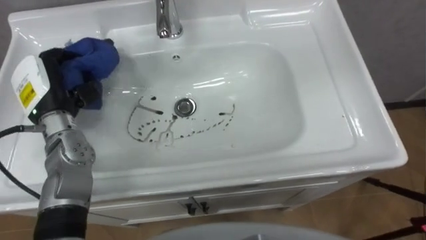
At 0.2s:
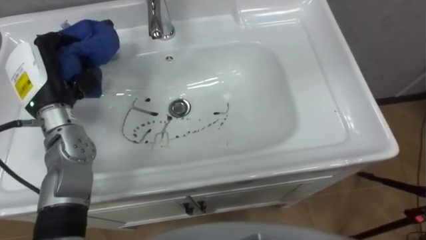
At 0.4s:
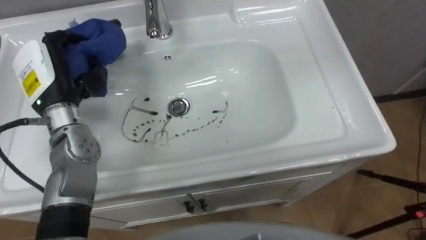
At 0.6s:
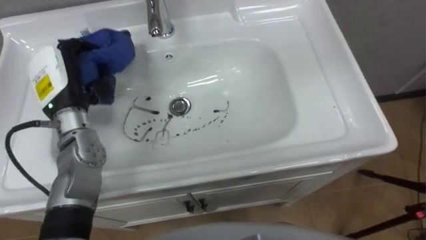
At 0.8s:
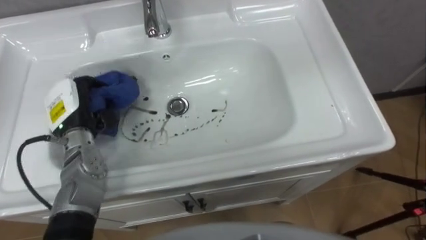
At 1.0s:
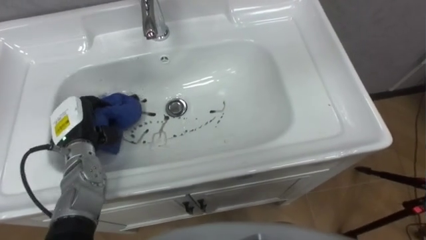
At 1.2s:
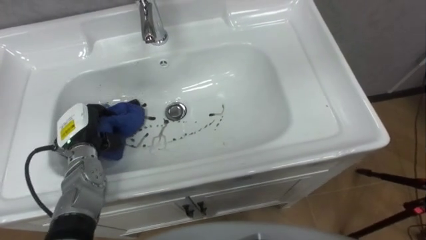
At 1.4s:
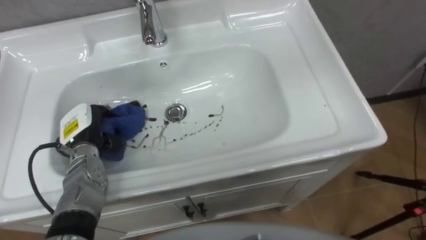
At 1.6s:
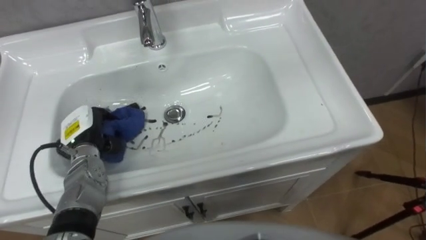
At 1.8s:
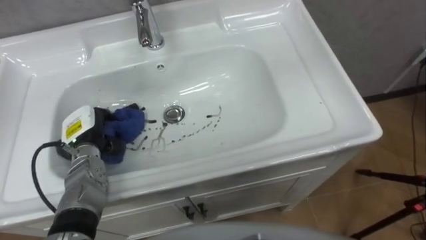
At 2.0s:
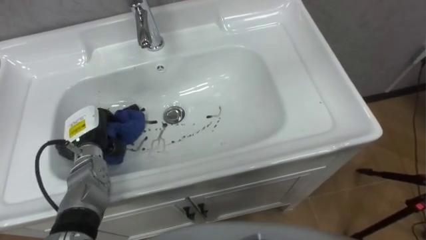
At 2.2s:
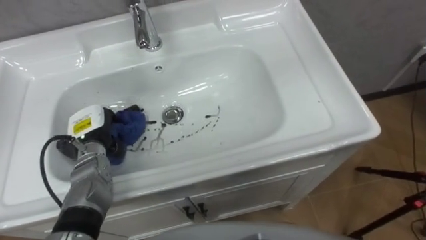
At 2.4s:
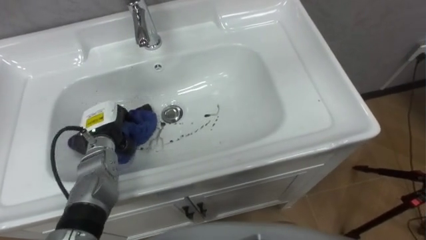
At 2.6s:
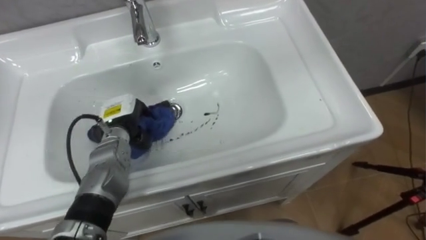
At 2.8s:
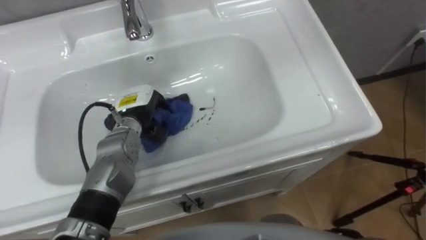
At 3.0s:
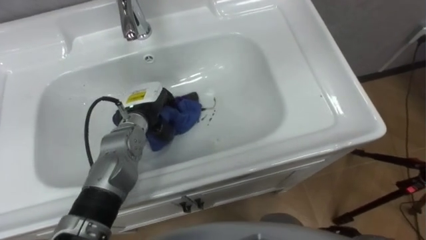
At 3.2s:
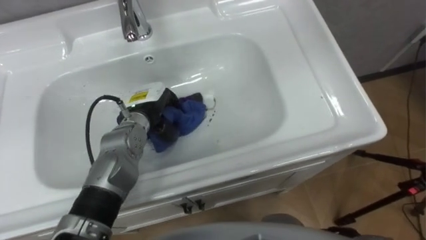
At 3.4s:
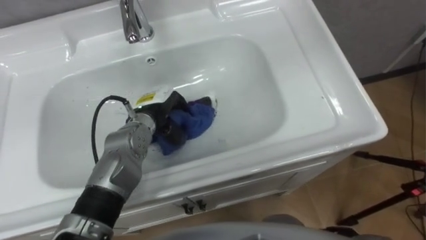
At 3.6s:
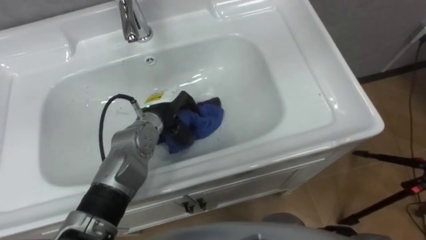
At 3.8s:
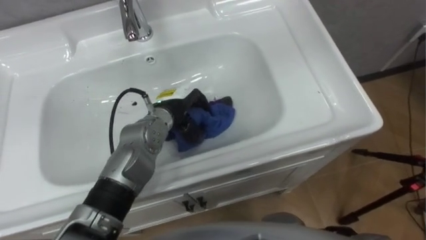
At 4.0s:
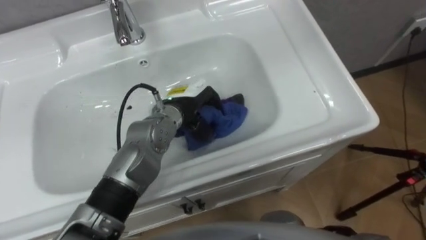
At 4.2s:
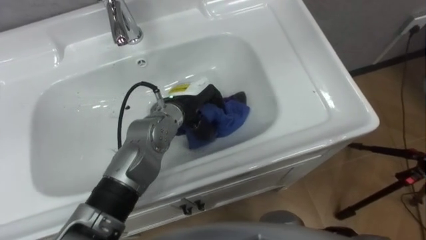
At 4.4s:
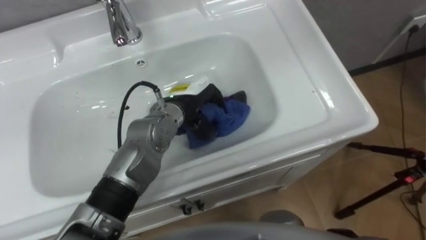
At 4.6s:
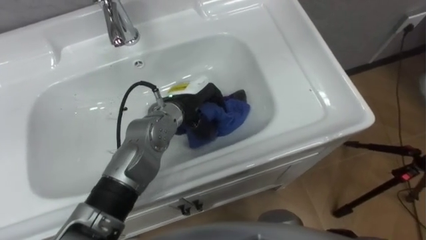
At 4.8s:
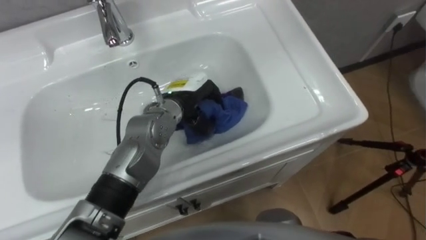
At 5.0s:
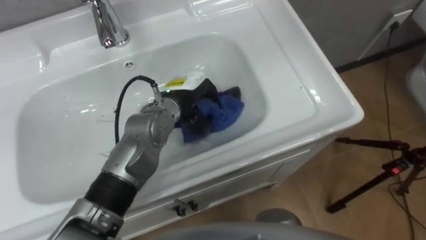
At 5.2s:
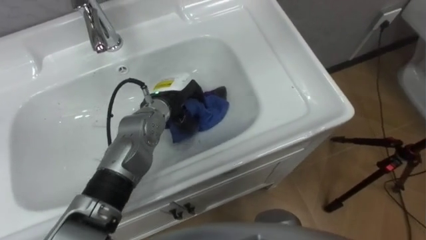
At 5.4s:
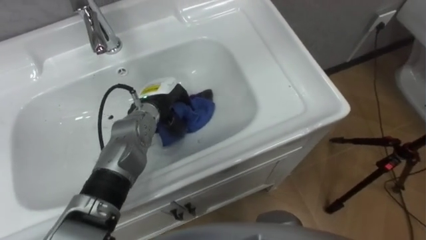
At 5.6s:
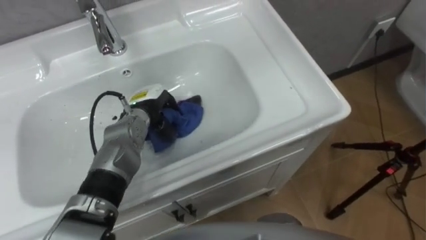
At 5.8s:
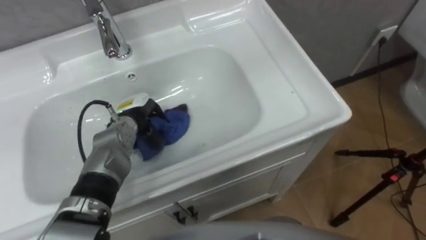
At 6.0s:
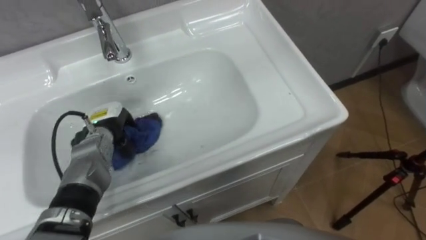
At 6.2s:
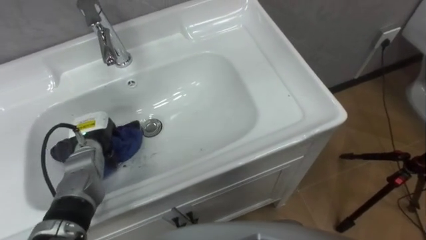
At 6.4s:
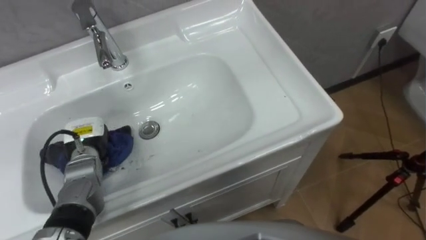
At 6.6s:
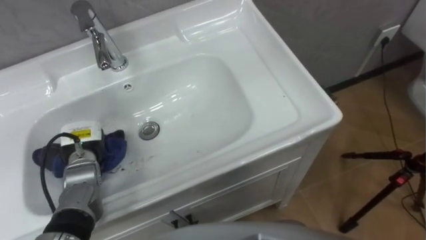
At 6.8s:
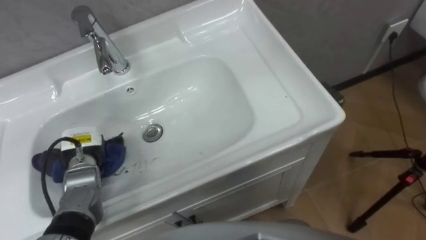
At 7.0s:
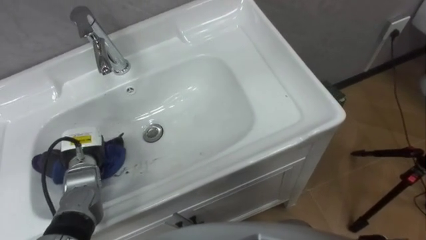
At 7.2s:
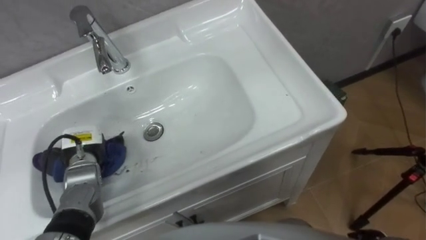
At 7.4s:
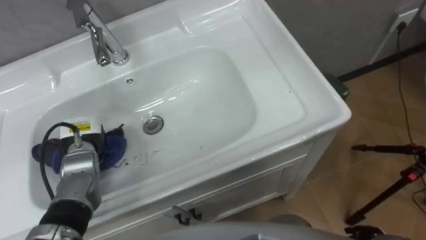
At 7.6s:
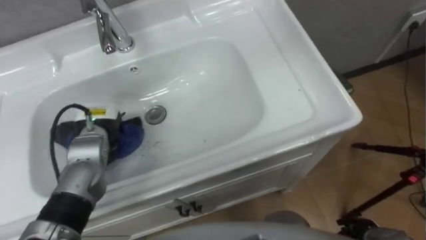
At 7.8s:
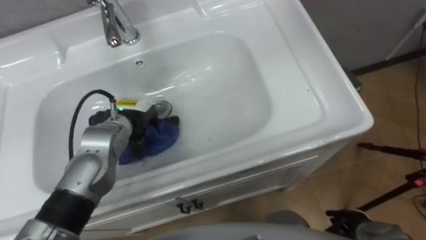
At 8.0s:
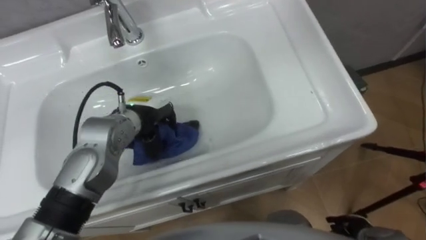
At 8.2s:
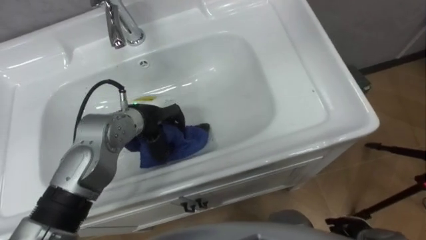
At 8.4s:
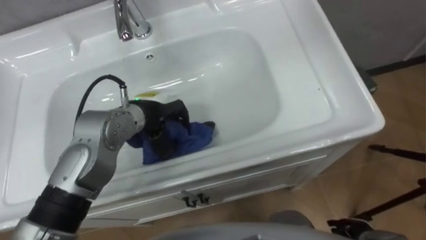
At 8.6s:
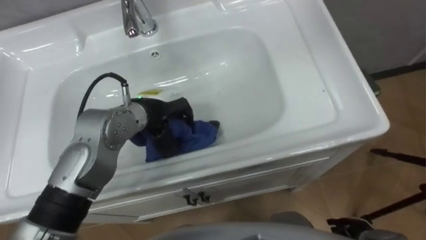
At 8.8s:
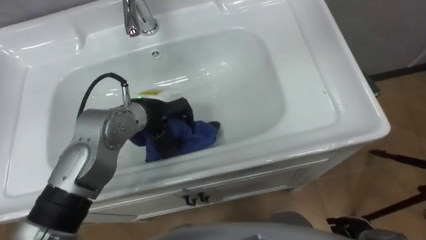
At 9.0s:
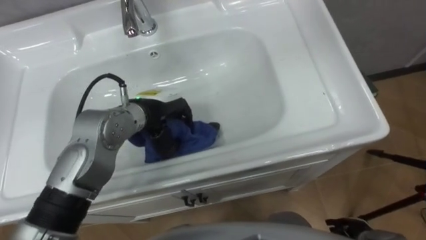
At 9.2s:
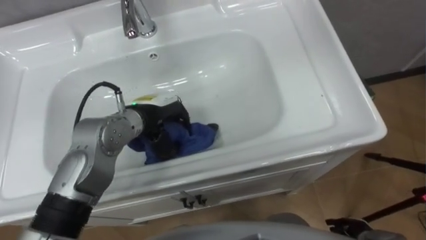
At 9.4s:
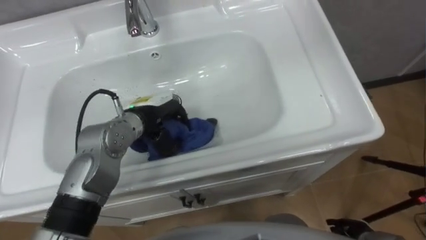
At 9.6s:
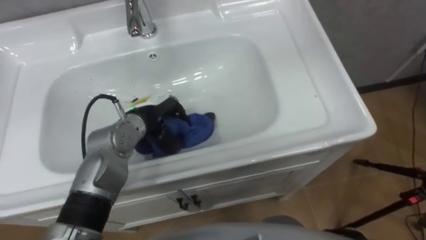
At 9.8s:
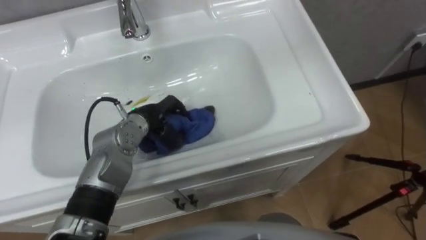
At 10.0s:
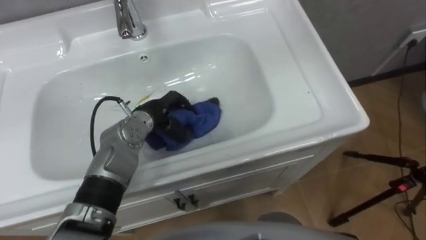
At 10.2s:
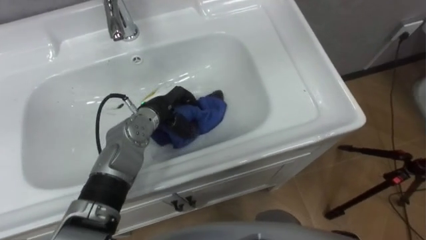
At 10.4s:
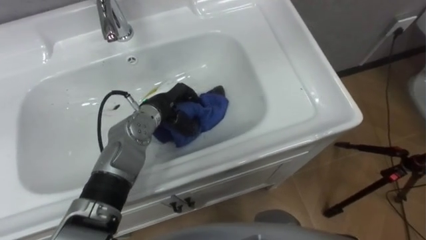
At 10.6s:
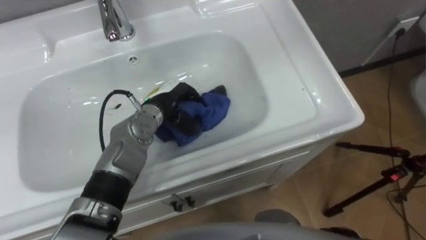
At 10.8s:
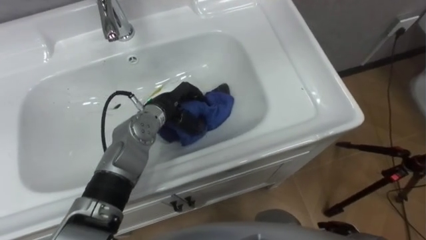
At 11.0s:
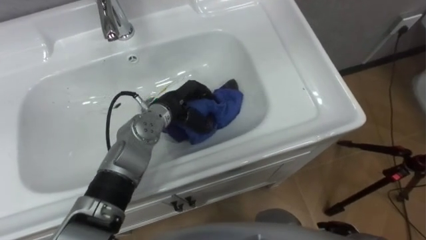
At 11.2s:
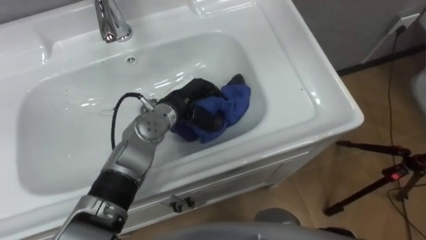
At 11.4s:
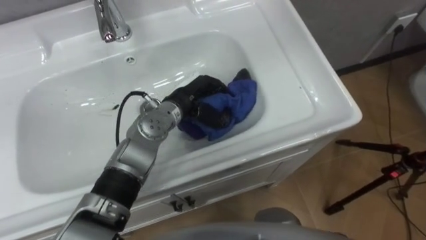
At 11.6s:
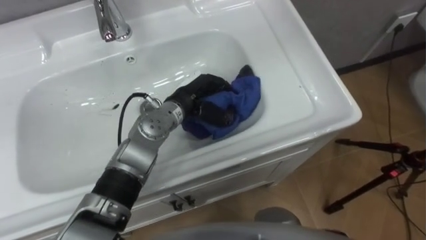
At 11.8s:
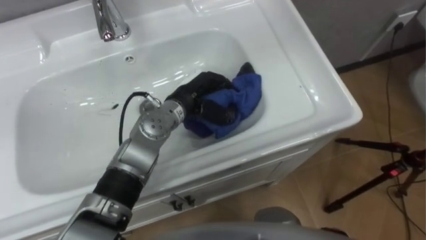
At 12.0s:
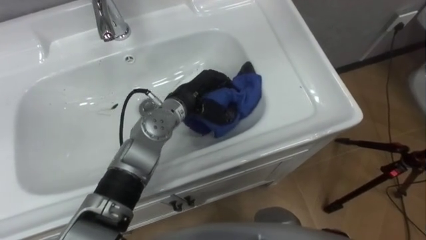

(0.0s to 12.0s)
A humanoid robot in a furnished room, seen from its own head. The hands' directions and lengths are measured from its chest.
Task of the whole recording: Use the cloth on the right to wipe away the black stain in the sink.
0.0s - 1.6s: The left hand is displaced downward by approximately 10 cm.
1.6s - 3.0s: The left hand moves to the right and forward, approximately 15 cm.
3.0s - 4.4s: The left hand is displaced to the right by approximately 10 cm.
4.4s - 6.0s: The left hand heads to the left and downward, covering roughly 20 cm.
7.6s - 9.0s: The left hand is displaced to the right and upward by roughly 15 cm.
9.0s - 10.4s: The left hand travels downward by roughly 5 cm.
10.4s - 12.0s: The left hand is displaced to the right by roughly 5 cm.

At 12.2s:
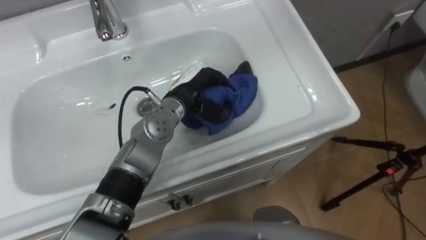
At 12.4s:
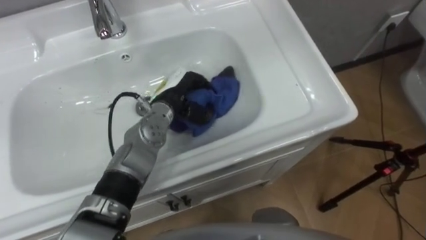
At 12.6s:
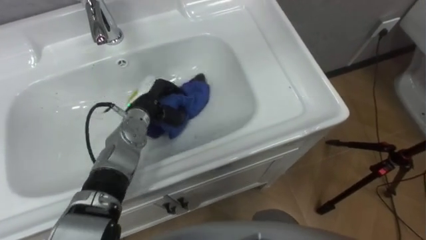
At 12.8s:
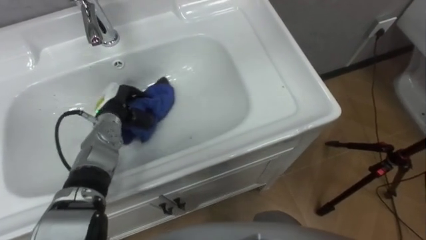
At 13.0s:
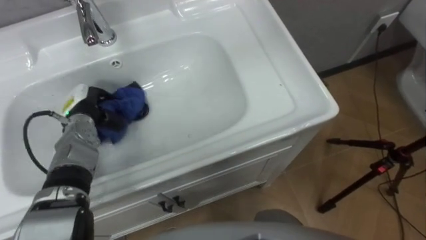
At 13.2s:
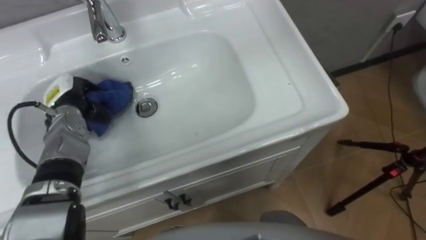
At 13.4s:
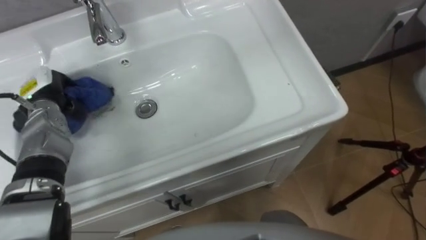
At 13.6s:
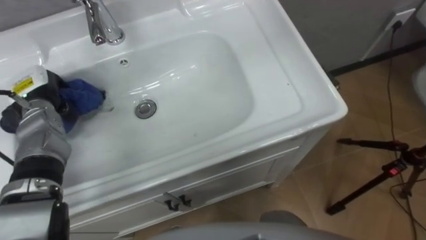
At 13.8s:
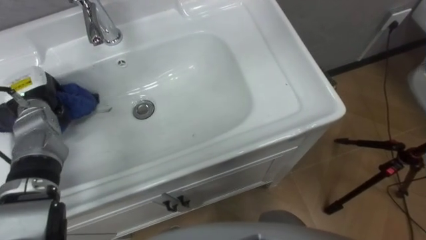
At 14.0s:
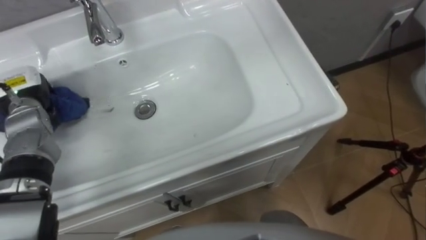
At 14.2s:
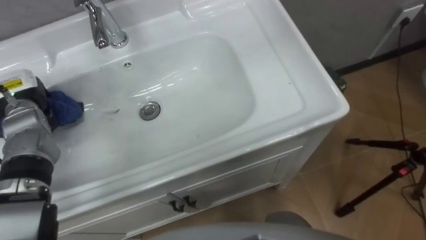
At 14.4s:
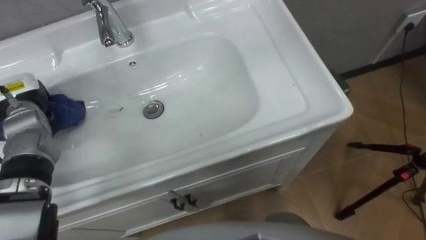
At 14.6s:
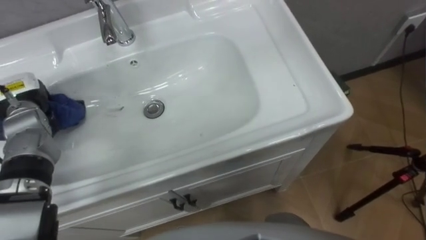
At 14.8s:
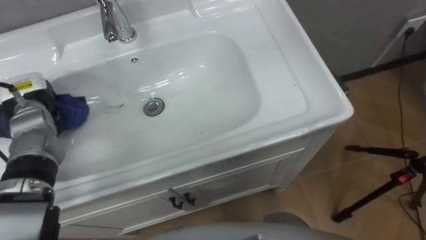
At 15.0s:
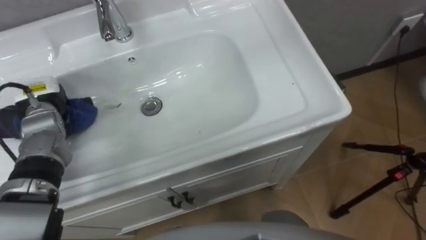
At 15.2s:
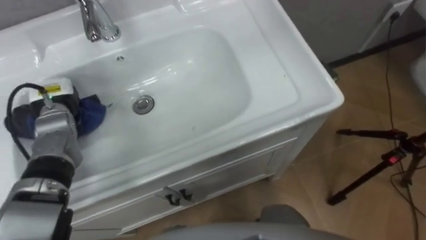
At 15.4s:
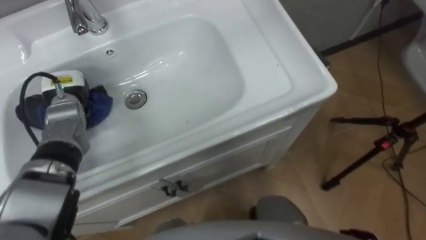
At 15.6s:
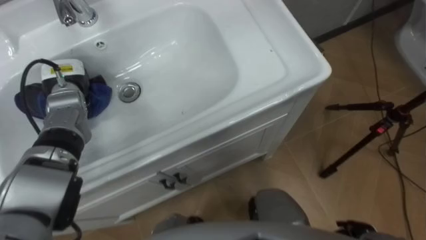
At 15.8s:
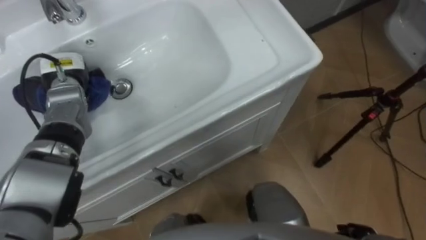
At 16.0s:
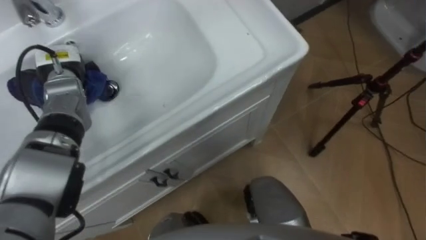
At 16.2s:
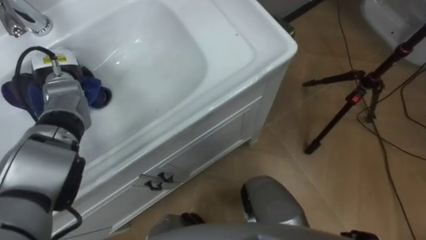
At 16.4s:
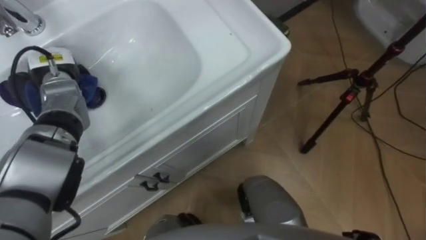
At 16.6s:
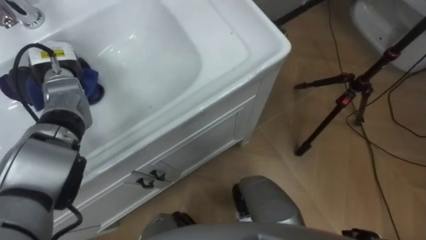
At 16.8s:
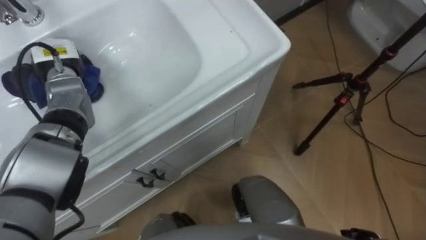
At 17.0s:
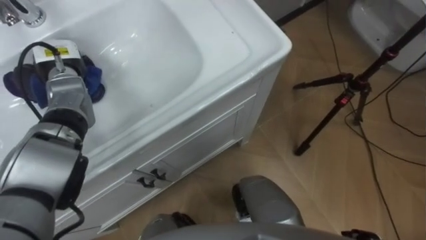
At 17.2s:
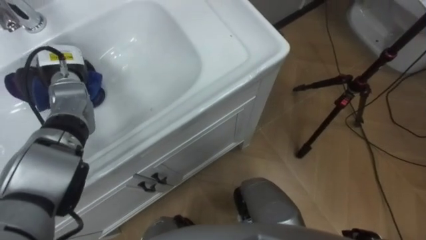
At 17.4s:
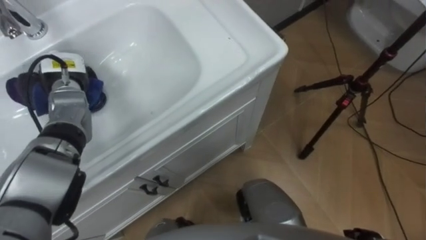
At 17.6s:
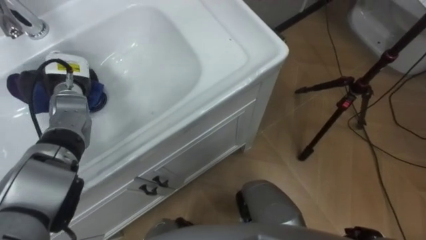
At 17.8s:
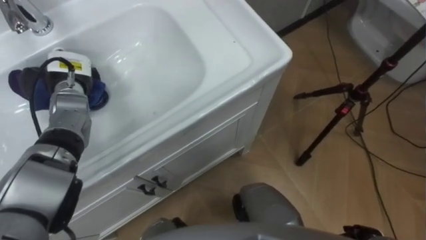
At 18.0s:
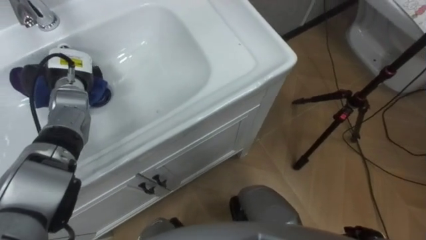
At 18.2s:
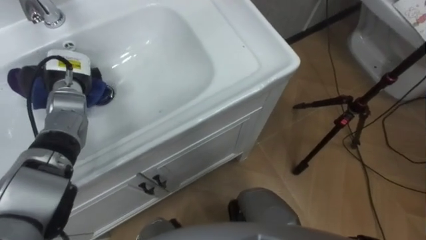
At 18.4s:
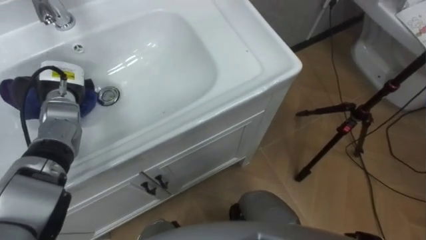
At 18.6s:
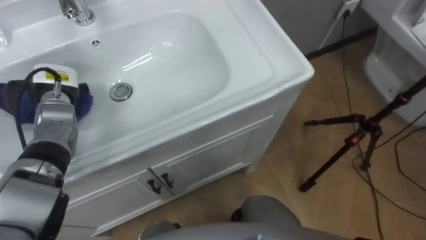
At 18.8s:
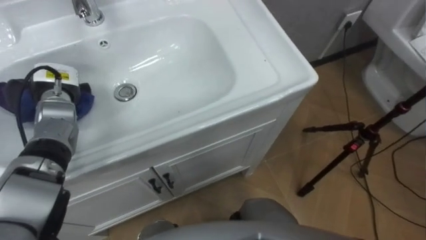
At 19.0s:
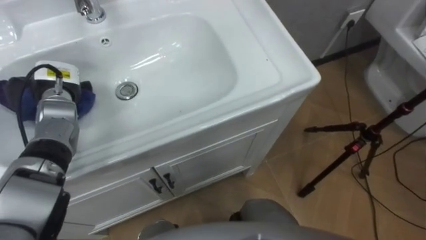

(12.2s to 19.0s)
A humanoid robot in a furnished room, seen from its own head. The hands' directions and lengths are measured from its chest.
Task of the whole recording: Use the cloth on the right to wipe away the black stain in the sink.
12.2s - 13.6s: The left hand shifts roughly 30 cm to the left.
15.0s - 16.2s: The left hand goes some 5 cm forward.
